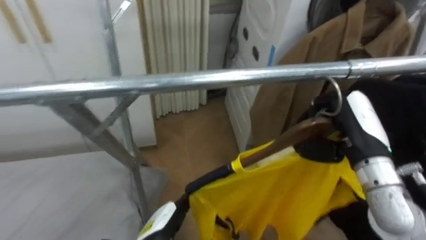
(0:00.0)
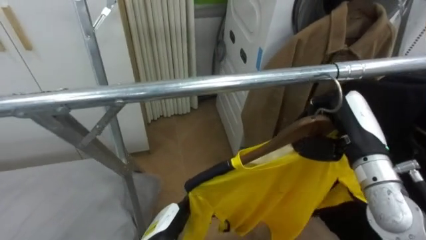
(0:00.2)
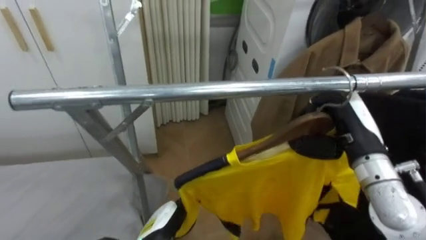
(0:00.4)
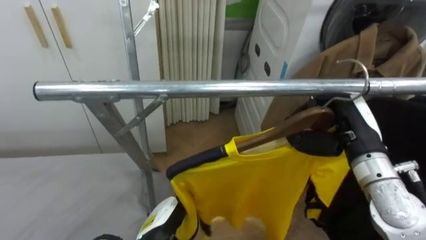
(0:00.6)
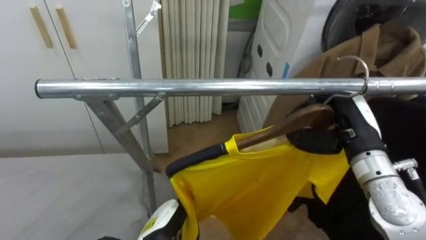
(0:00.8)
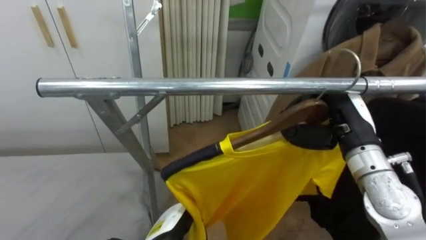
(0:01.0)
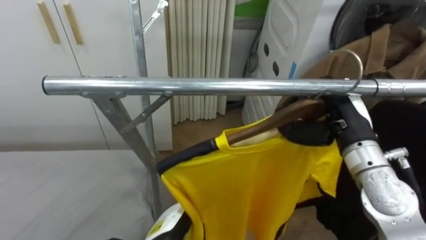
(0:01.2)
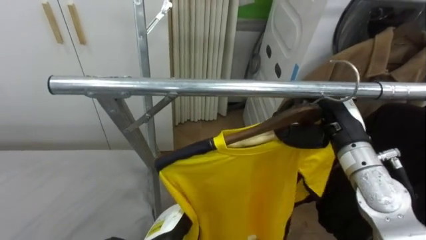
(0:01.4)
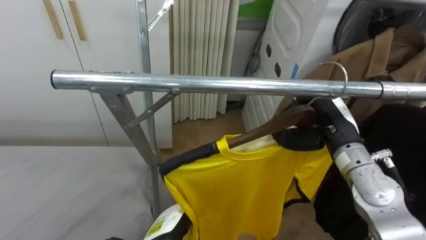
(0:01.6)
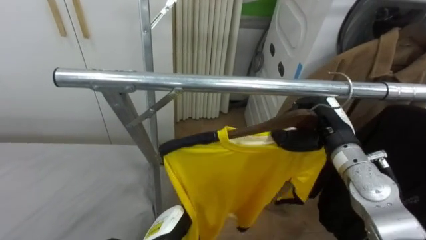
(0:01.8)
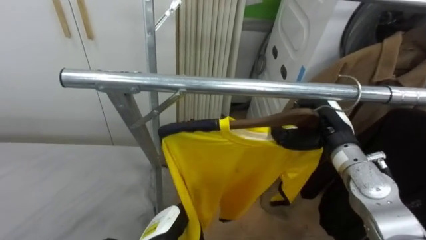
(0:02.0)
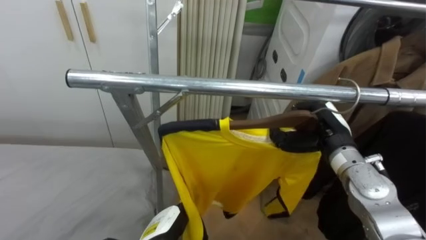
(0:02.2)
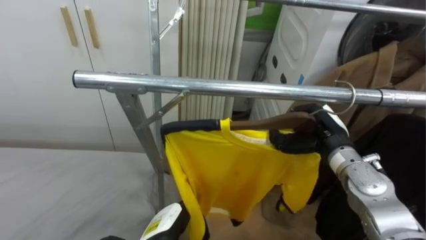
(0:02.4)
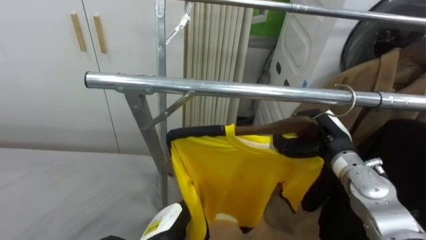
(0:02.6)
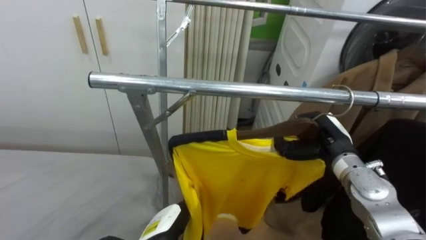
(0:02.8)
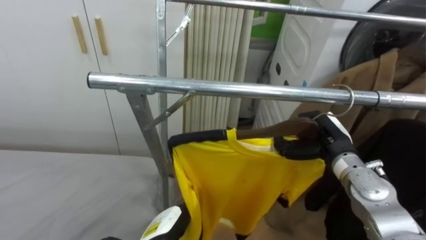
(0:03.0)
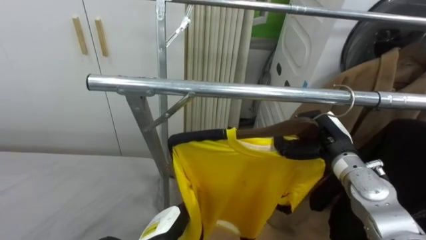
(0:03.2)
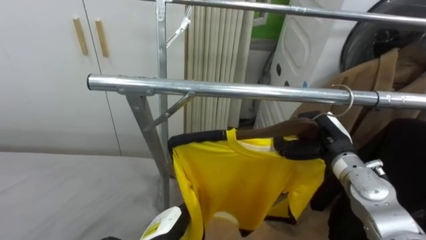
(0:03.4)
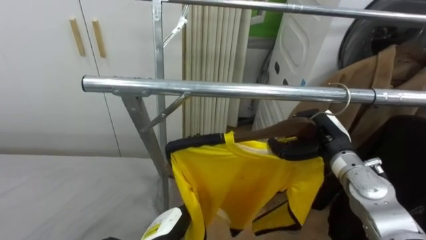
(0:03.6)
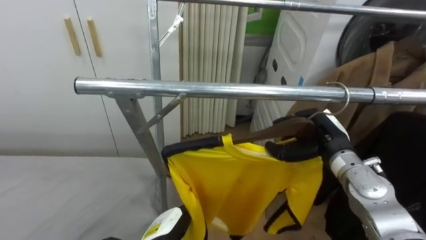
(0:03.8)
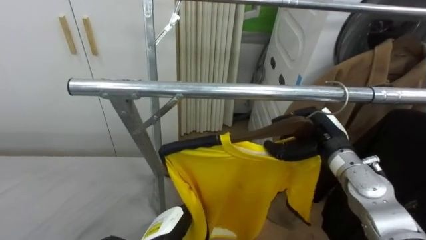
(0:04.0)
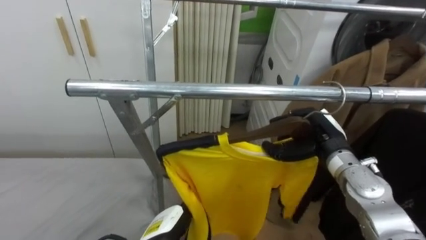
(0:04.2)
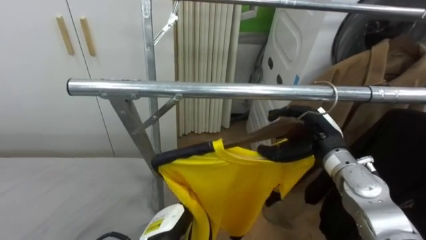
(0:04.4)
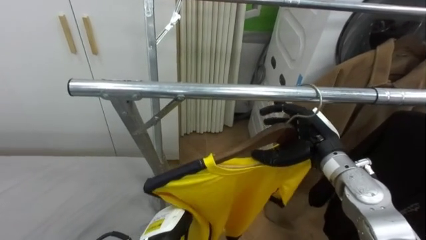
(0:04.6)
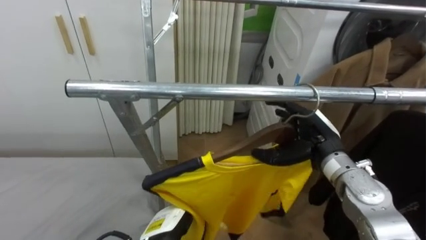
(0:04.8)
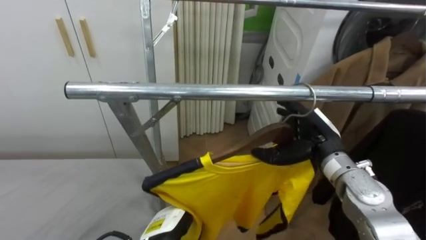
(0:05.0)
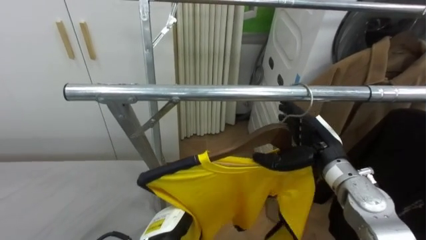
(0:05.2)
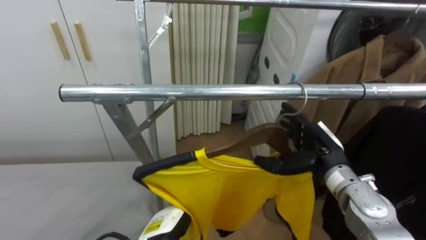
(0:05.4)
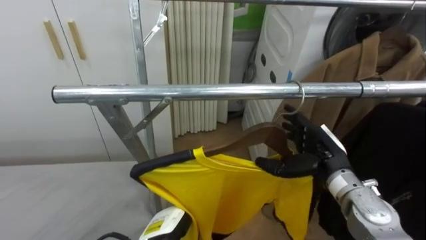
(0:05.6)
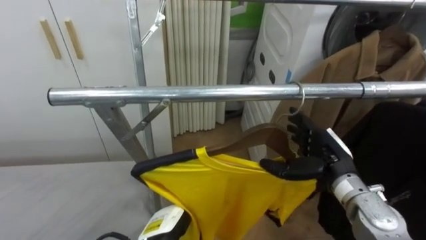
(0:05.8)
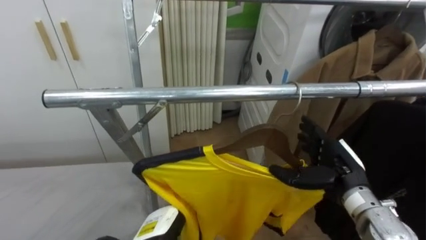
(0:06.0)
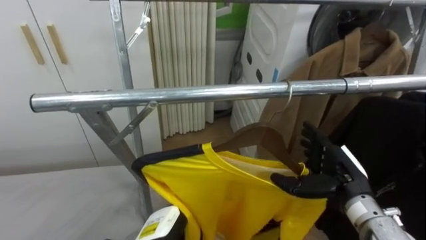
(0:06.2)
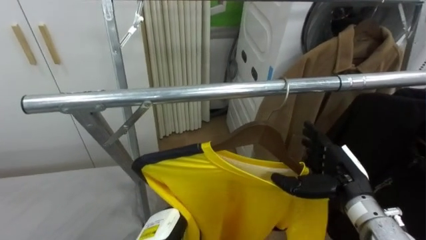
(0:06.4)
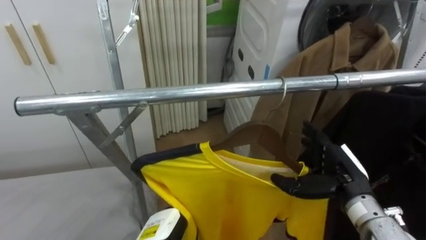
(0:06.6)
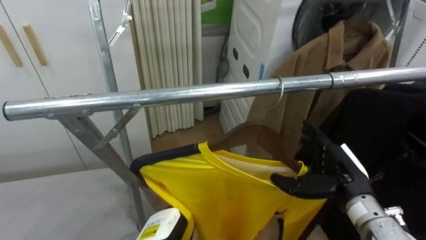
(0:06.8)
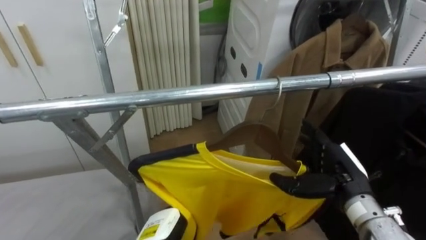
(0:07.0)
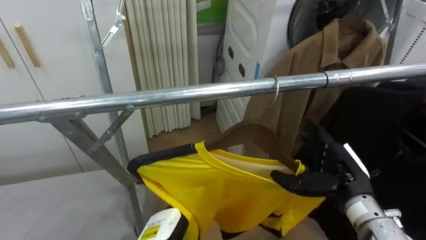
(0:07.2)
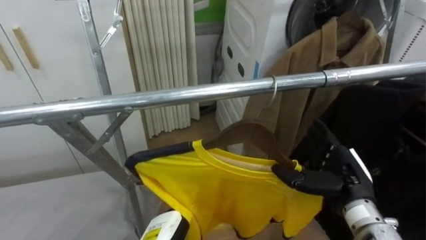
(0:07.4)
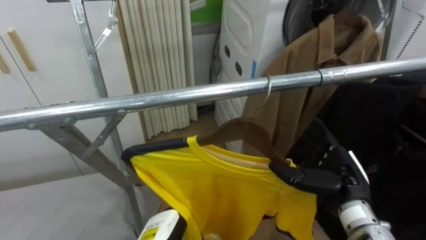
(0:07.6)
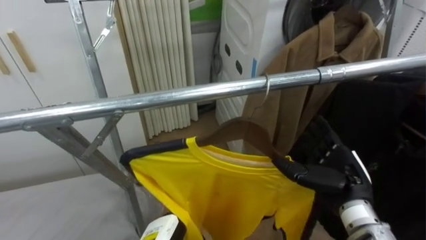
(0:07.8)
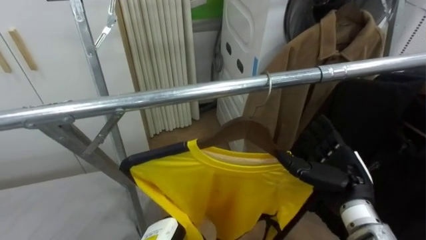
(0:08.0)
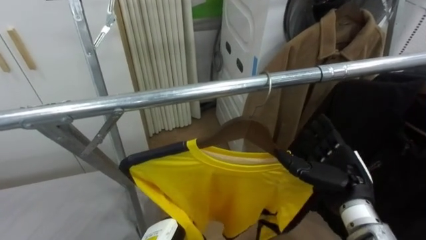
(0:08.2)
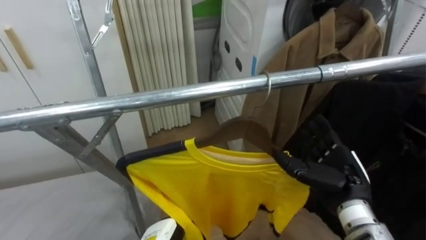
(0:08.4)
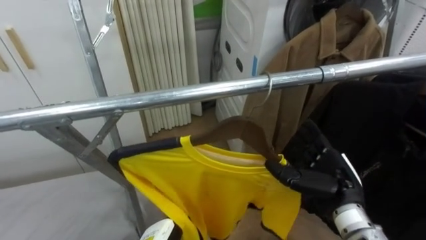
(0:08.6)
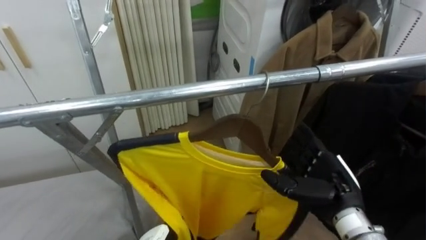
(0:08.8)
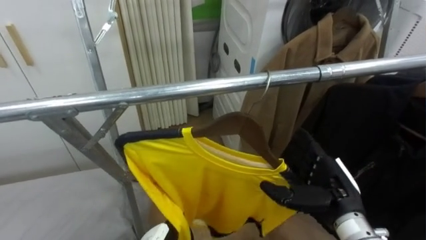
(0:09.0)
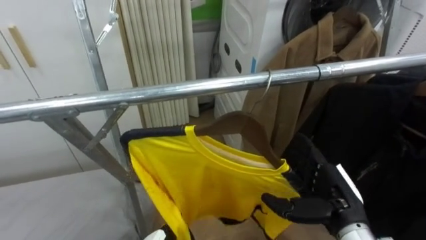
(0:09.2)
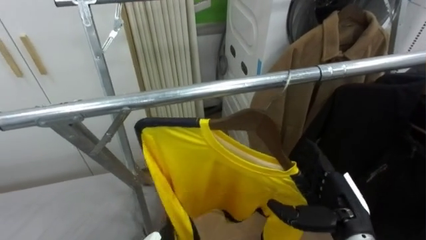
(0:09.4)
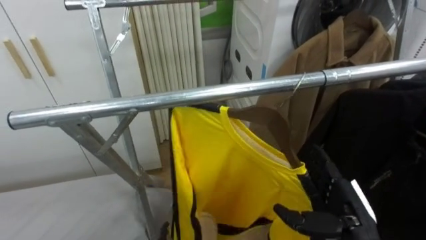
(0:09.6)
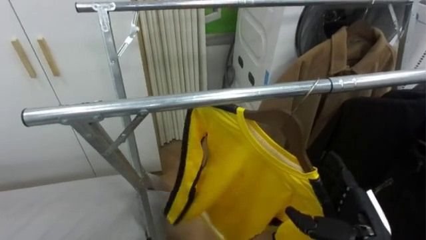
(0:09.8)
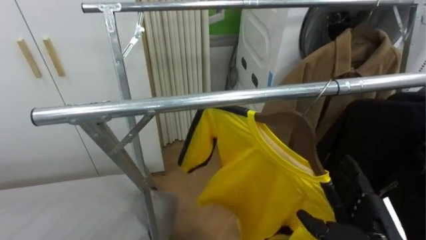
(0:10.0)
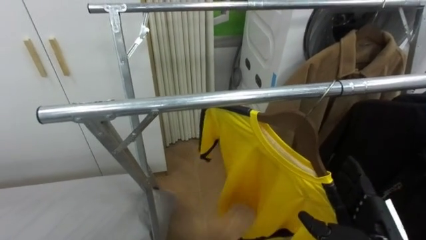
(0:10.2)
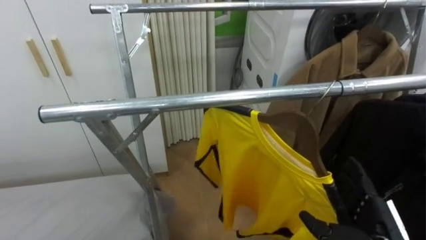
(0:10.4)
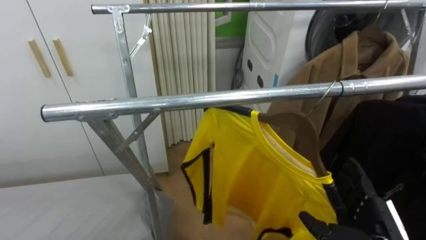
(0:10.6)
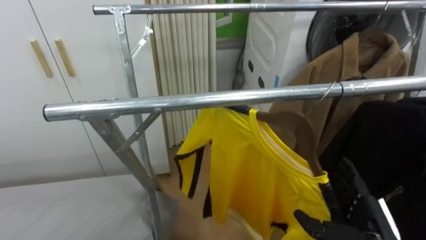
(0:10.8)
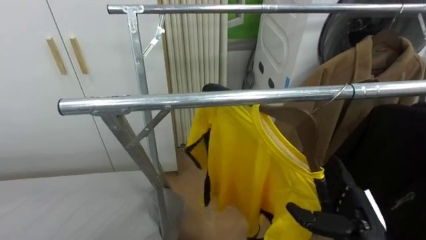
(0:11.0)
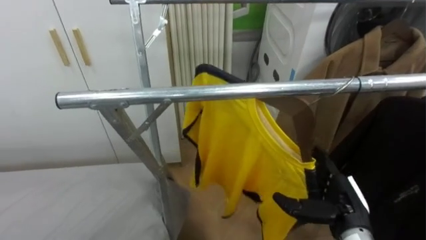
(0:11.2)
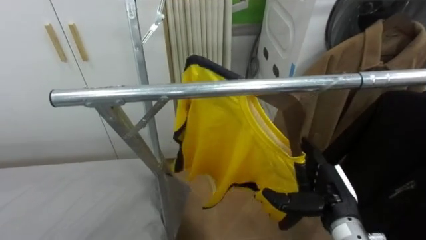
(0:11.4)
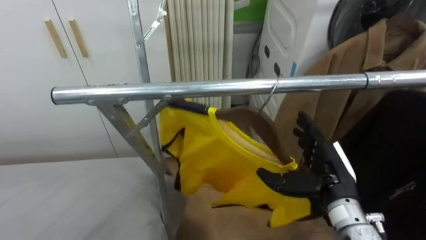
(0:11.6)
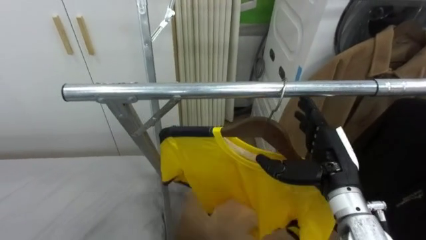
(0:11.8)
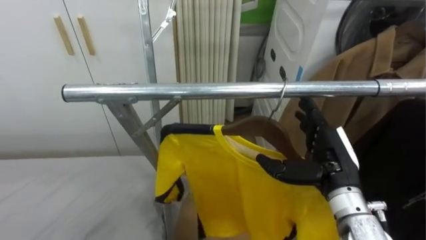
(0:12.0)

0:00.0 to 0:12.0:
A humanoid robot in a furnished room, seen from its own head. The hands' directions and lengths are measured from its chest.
Task of the whole recording: Pick up the yellow shirt on the bed and hang it on the clothes rack on the right.
0:00.0 to 0:01.6: The right hand ends up about 5 cm from where it was.
0:01.6 to 0:03.0: The right hand heads downward, covering roughly 5 cm.
0:03.0 to 0:04.4: The right hand opens.
0:04.4 to 0:06.0: The right hand travels backward by about 5 cm, and opens its fingers.

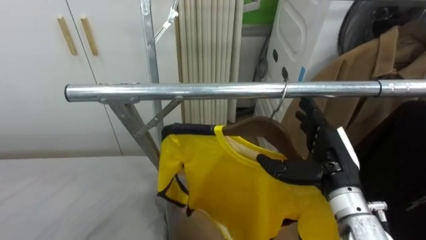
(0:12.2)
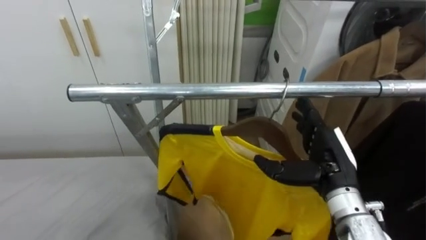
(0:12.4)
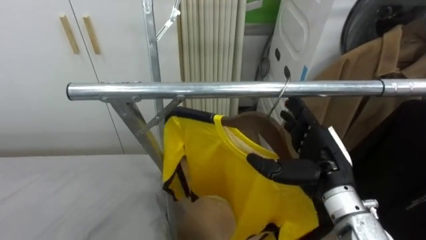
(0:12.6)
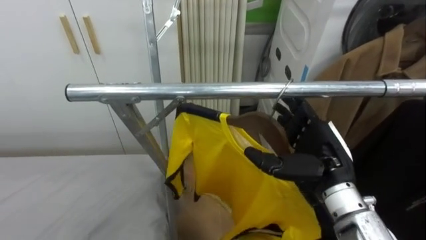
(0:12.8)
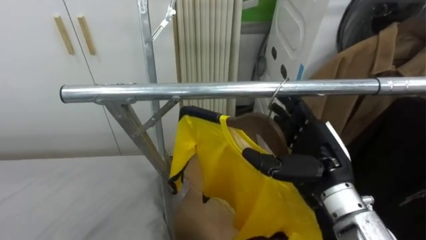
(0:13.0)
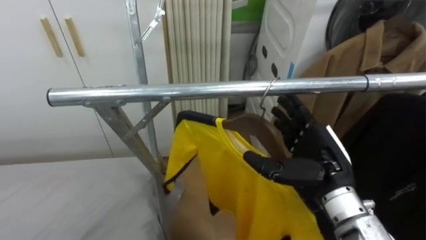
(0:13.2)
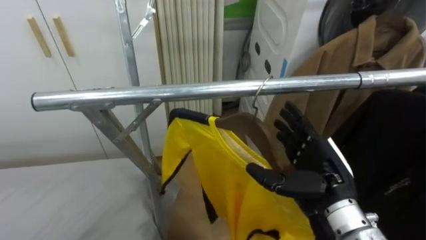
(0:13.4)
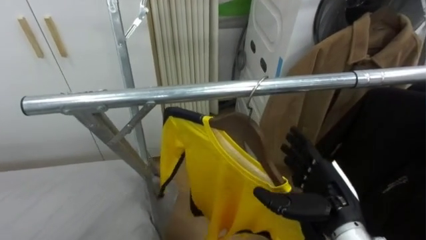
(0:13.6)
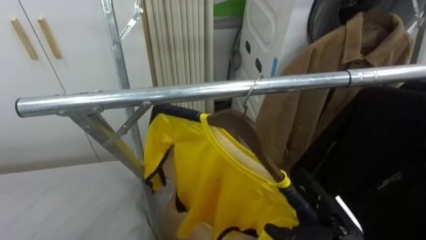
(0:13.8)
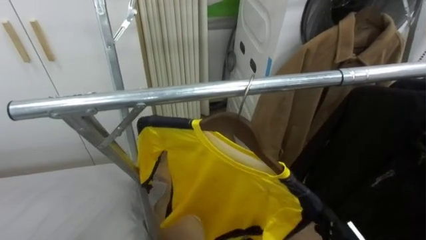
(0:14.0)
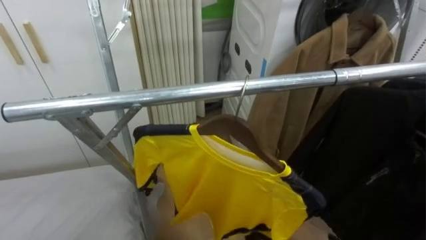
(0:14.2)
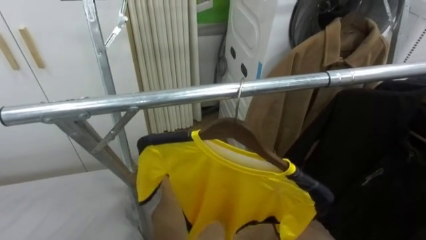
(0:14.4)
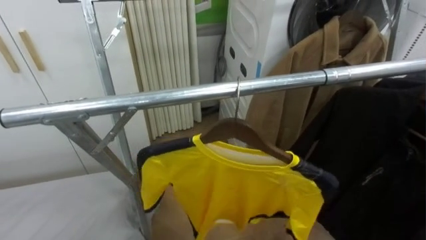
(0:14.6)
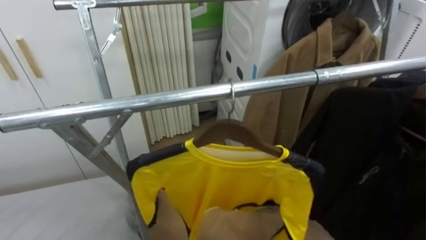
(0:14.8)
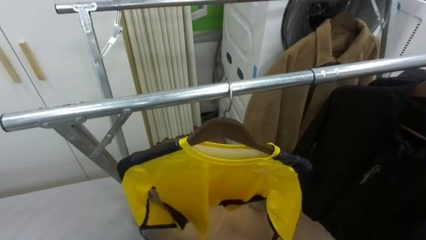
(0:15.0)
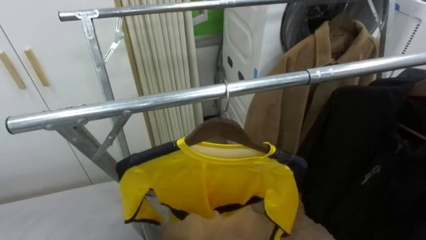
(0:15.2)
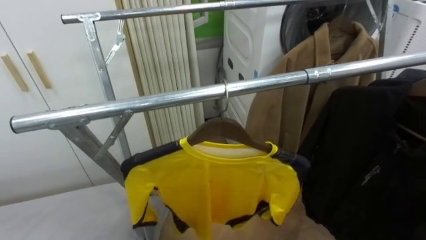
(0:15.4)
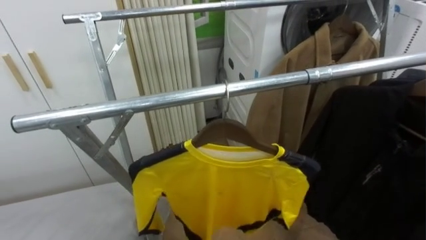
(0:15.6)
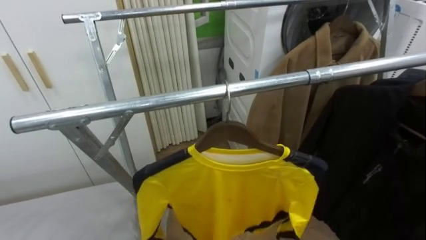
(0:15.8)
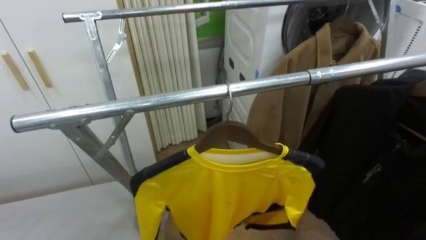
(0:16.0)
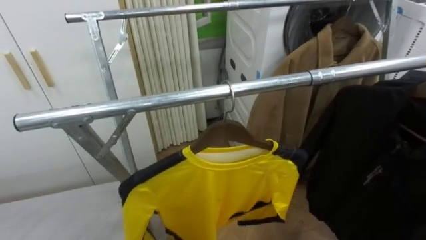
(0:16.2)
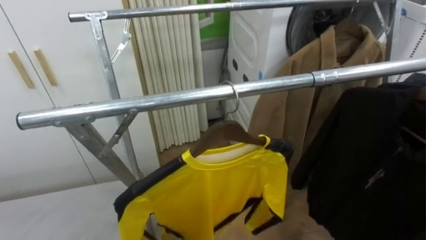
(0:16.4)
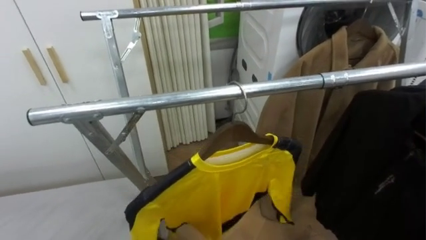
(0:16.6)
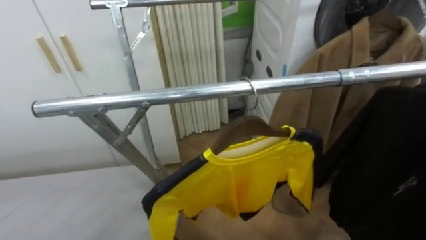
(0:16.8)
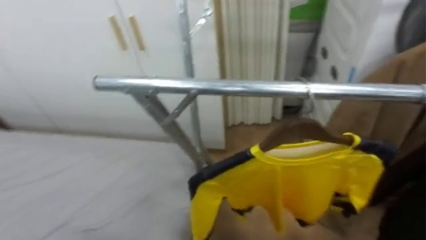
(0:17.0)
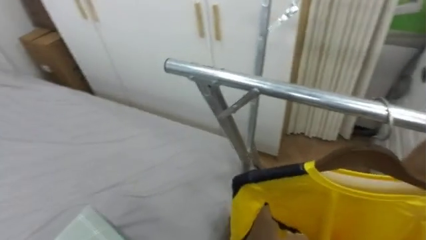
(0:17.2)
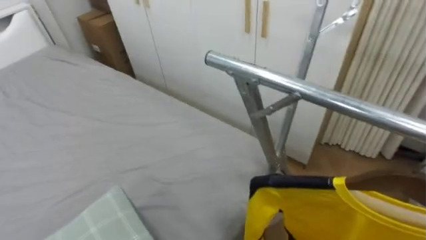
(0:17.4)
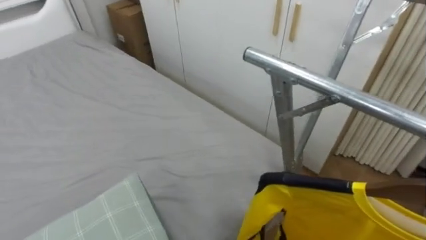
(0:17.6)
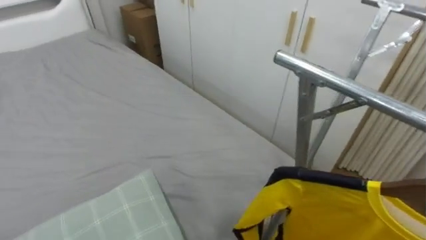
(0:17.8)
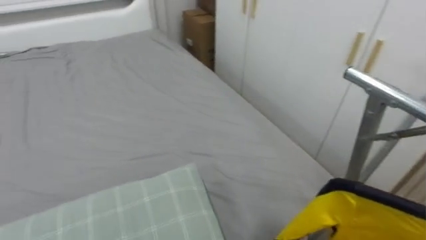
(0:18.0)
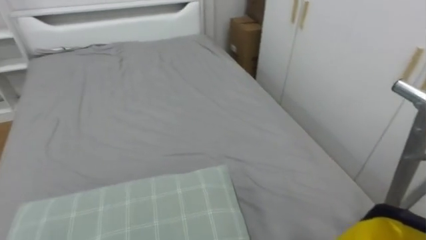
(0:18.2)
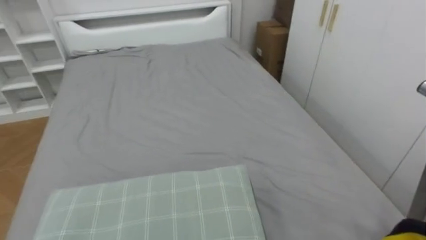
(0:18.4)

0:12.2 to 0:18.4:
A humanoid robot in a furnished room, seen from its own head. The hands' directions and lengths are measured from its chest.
Task of the whole recording: Pick up the yellow shirt on the bed and hang it on the clothes rack on the right.
0:12.2 to 0:13.8: The right hand goes some 15 cm downward and backward.
0:16.8 to 0:18.4: The robot rotates about 80 degrees to its left.
